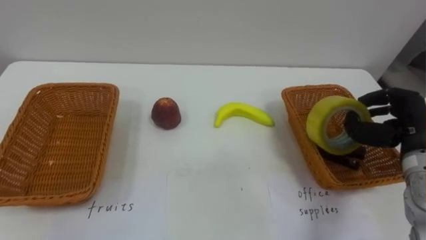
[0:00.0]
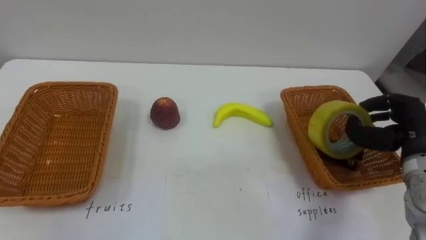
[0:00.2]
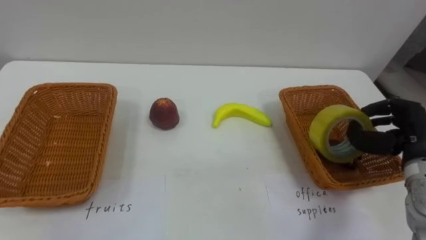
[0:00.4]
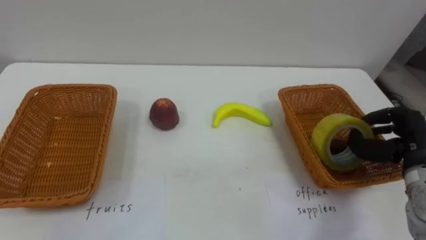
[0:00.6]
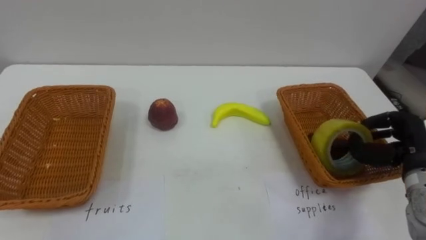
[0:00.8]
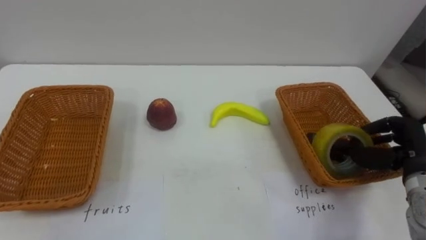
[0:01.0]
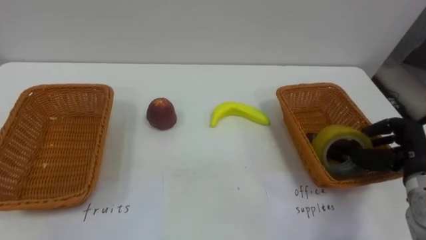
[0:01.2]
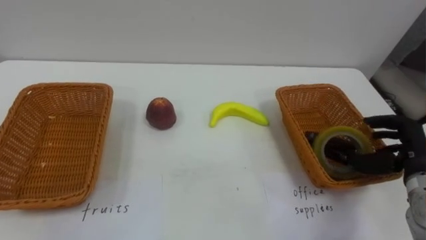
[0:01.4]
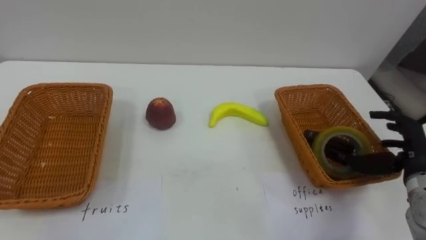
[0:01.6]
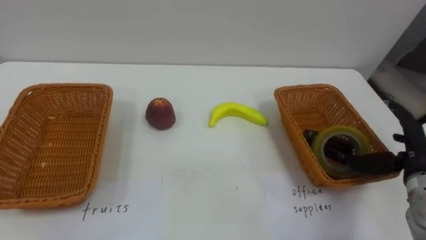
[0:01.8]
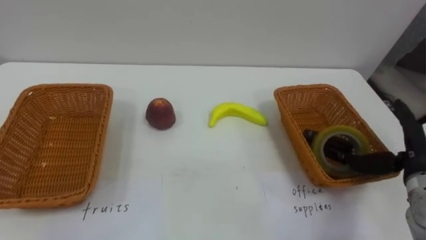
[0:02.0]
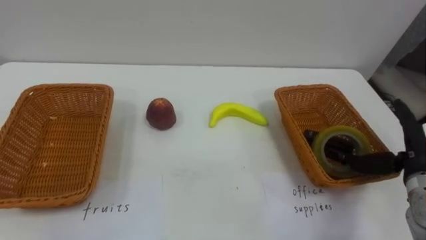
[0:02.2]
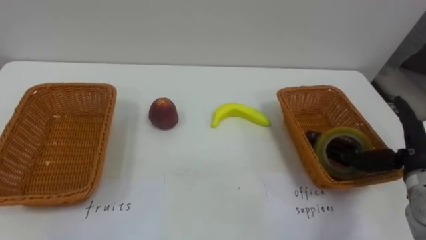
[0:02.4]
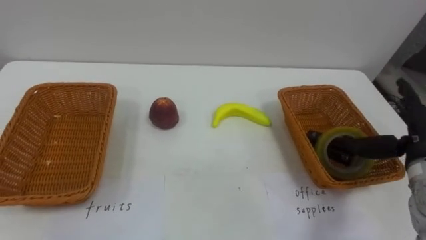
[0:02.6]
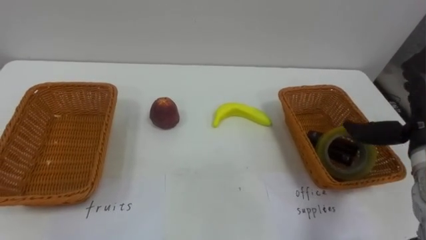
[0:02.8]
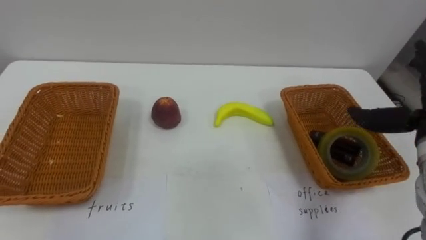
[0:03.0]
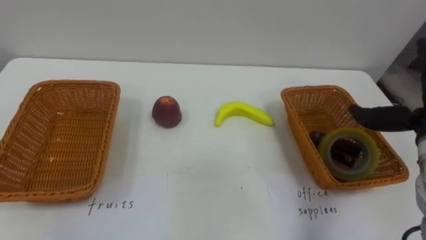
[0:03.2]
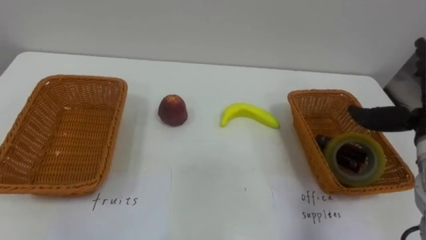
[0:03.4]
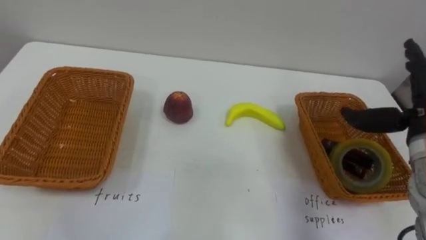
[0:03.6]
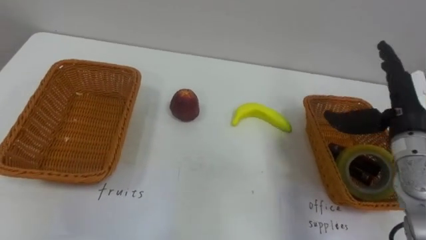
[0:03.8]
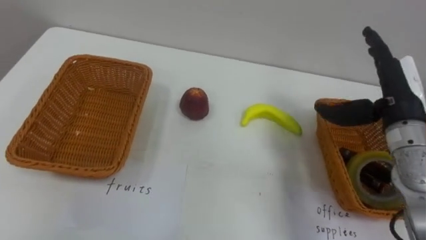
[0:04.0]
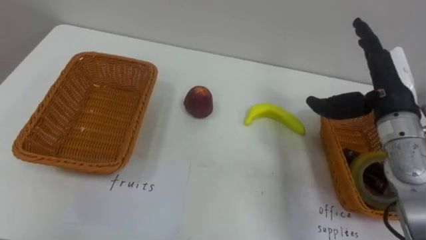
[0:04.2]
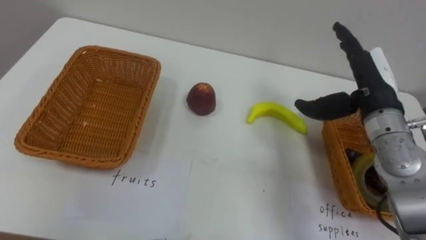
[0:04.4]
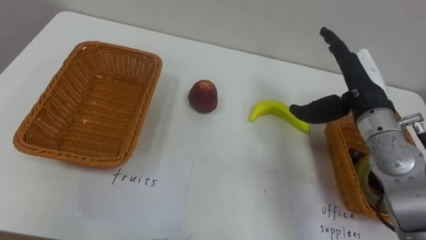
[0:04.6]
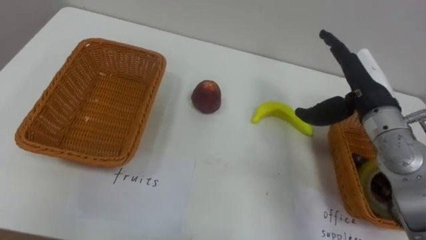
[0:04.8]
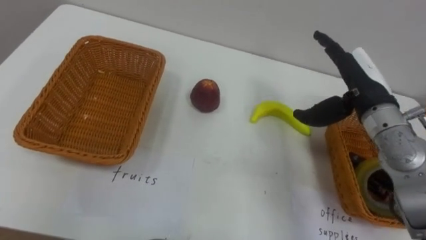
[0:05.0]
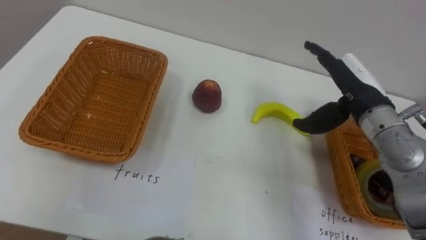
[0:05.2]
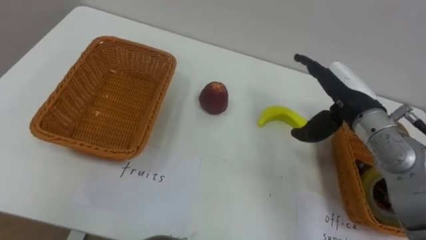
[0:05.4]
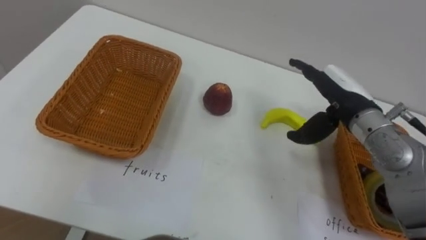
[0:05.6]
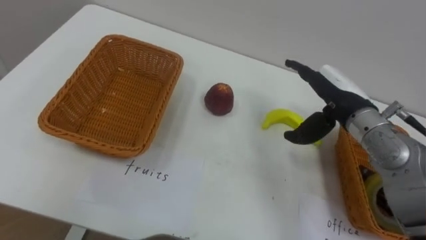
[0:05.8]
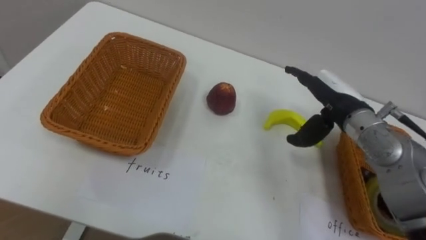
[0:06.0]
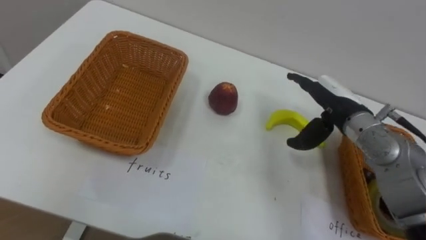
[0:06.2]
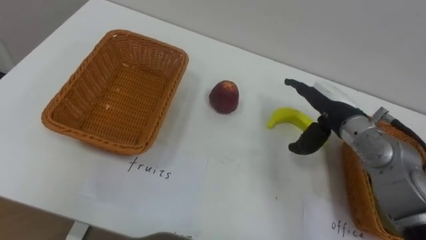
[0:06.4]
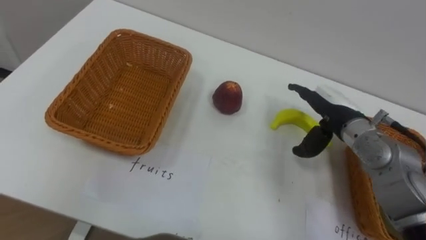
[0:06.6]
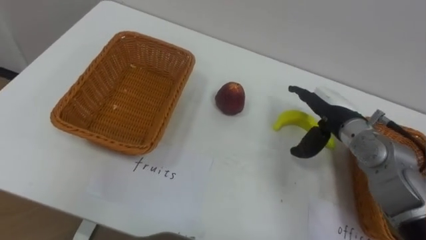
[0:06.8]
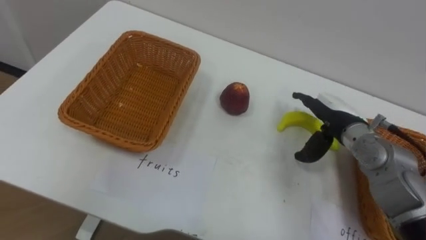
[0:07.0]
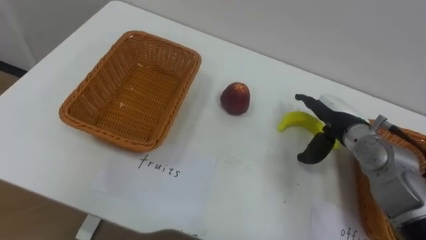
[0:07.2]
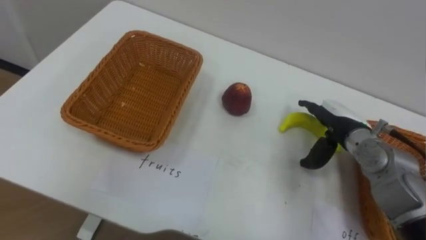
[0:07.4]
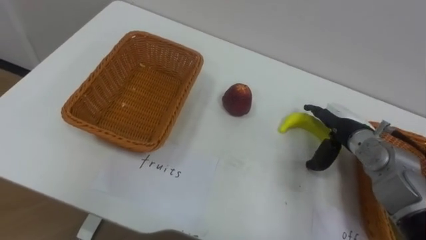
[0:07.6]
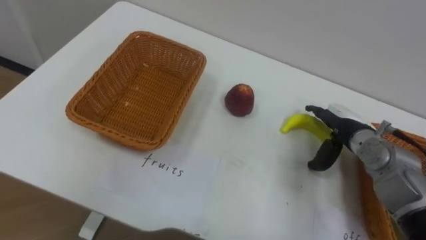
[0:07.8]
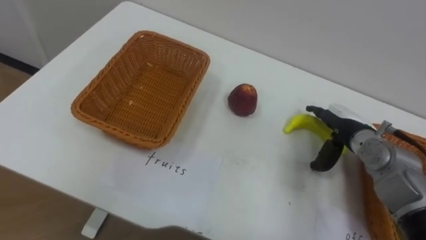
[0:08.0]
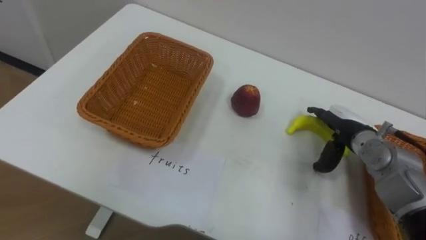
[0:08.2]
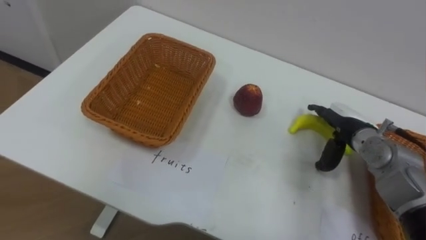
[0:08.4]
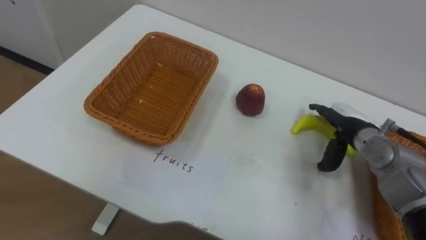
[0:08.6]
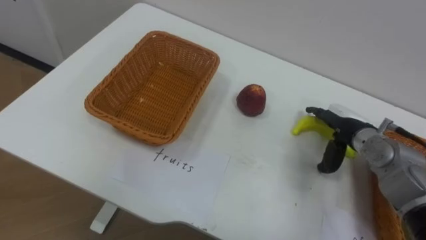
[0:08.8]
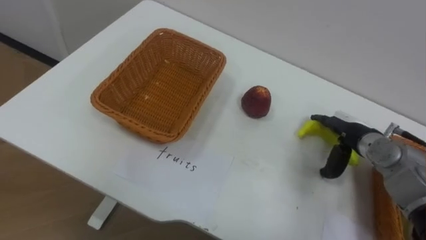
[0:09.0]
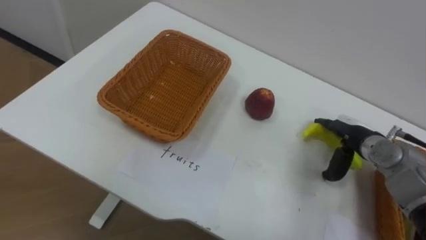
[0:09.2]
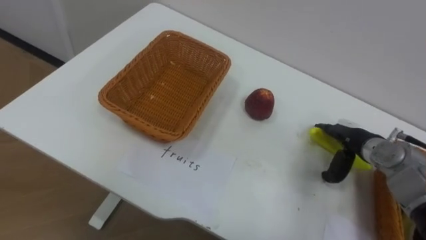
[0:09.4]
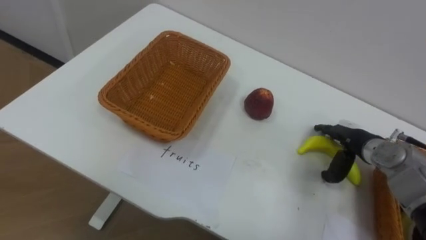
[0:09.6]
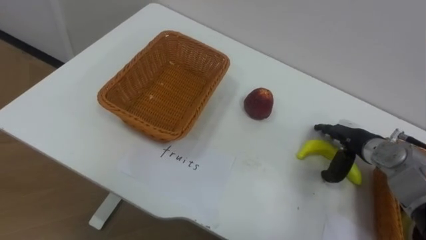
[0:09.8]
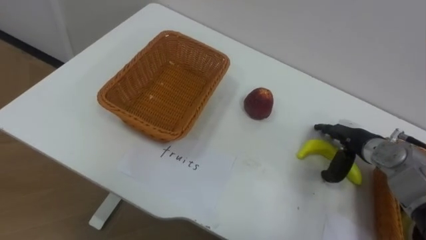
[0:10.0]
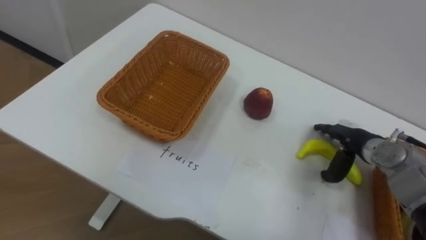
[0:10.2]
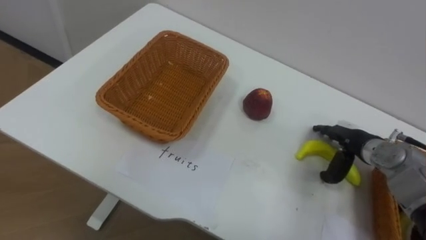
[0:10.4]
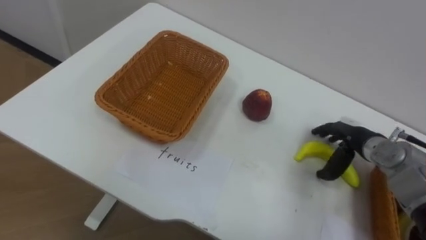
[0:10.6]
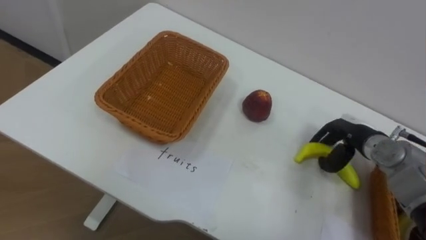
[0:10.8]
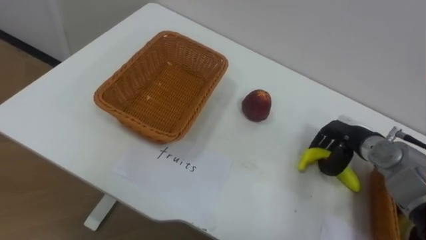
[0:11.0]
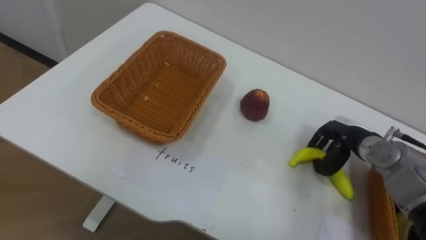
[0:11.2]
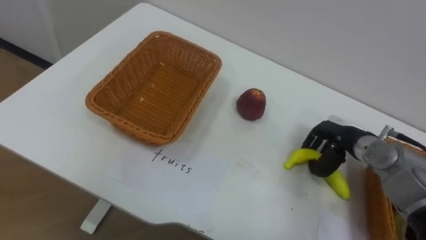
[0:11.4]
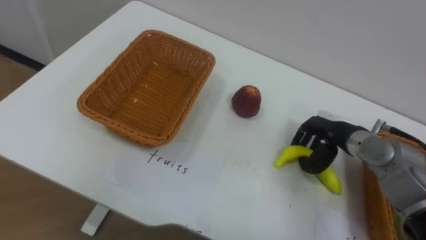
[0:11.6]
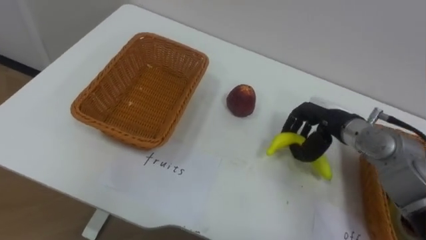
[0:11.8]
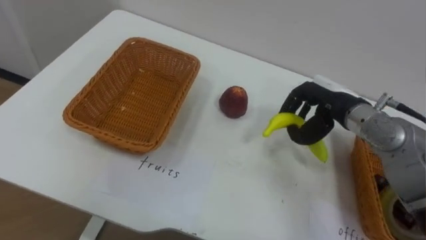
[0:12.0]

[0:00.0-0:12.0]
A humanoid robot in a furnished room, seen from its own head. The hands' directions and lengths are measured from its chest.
Task of the whole recording: Separate the items on the table and place them into the two baskets.
0:00.0 to 0:01.6: The right hand shifts by some 5 cm, and opens its fingers.
0:04.4 to 0:06.0: The right hand moves some 5 cm.
0:06.0 to 0:07.6: The right hand goes approximately 10 cm downward.
0:10.4 to 0:12.0: The right hand is displaced upward and to the left by approximately 10 cm, and closes up.

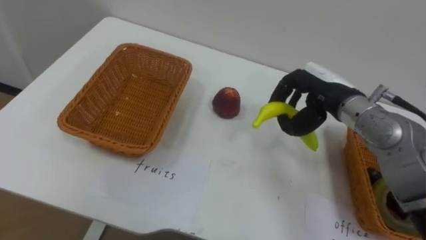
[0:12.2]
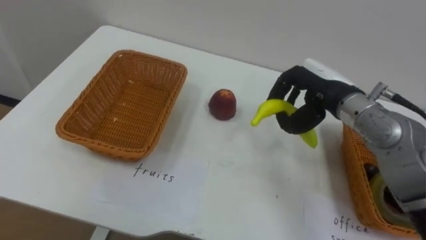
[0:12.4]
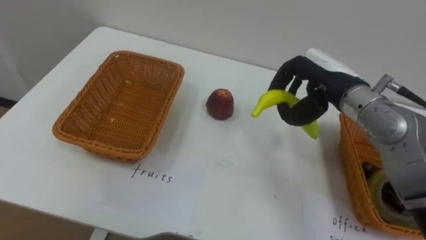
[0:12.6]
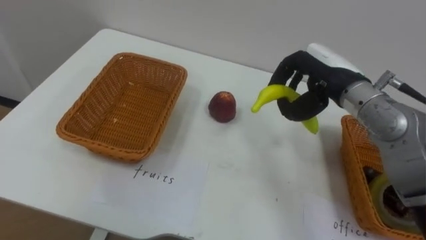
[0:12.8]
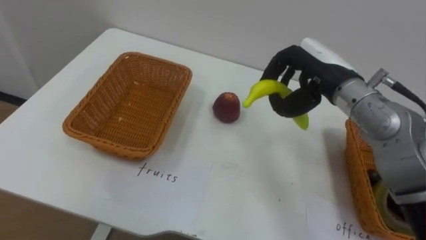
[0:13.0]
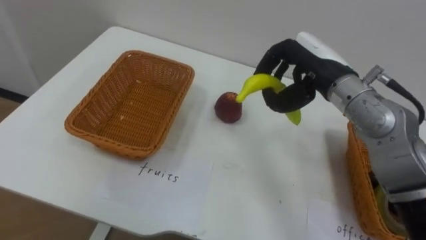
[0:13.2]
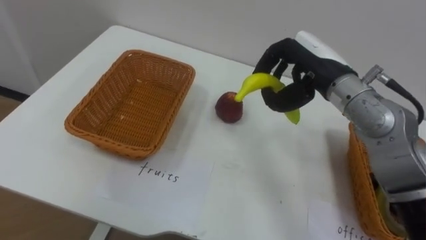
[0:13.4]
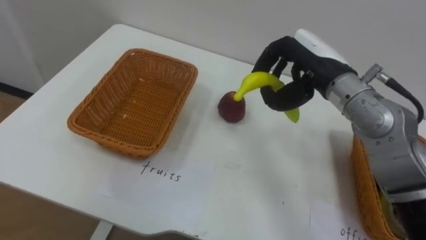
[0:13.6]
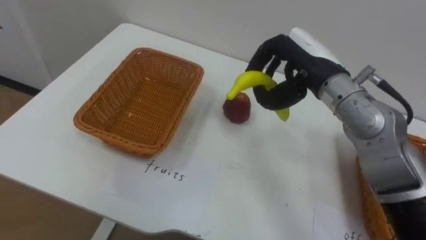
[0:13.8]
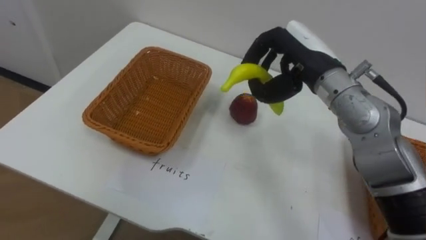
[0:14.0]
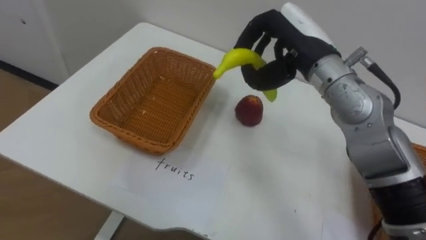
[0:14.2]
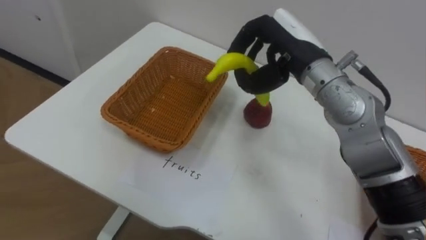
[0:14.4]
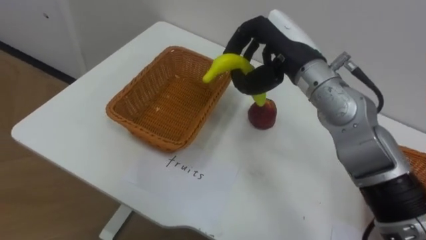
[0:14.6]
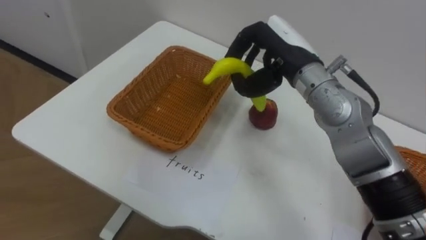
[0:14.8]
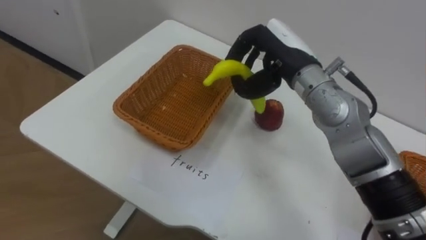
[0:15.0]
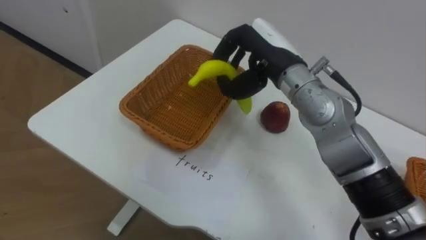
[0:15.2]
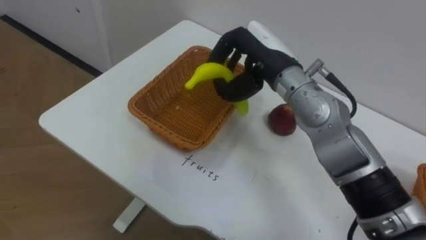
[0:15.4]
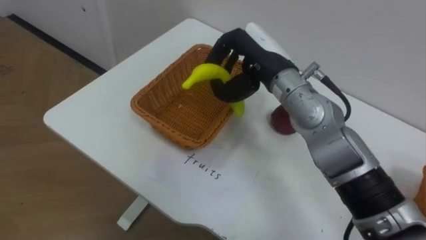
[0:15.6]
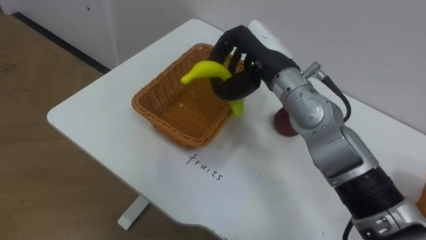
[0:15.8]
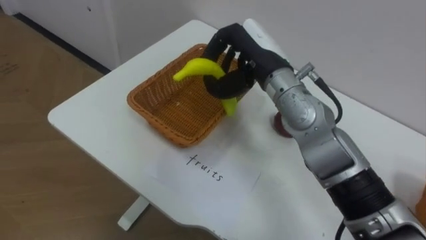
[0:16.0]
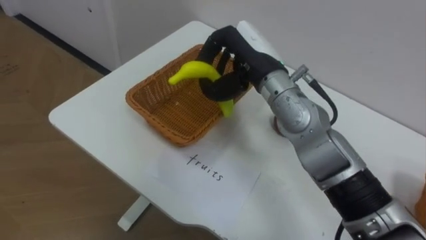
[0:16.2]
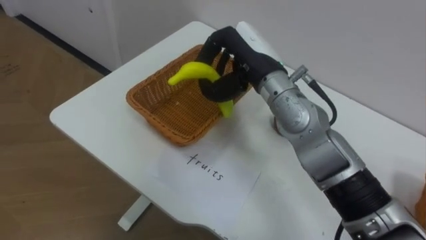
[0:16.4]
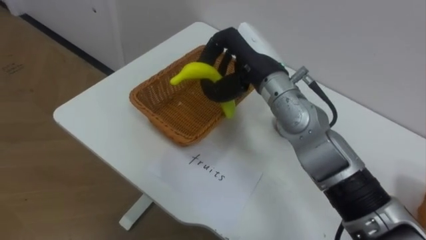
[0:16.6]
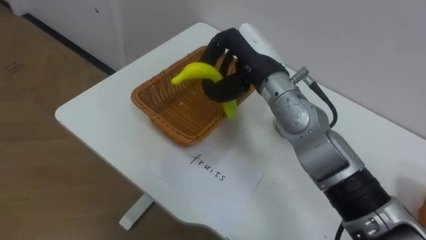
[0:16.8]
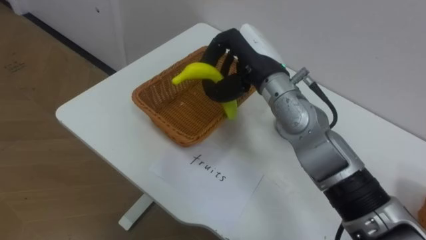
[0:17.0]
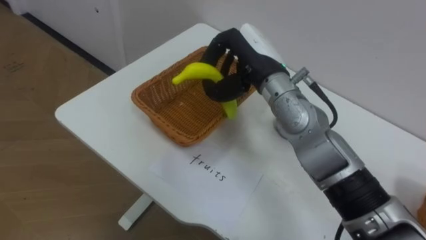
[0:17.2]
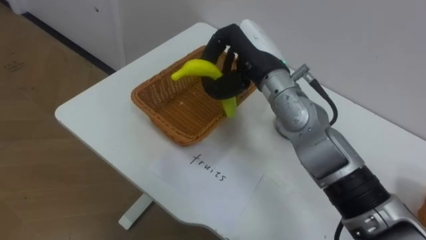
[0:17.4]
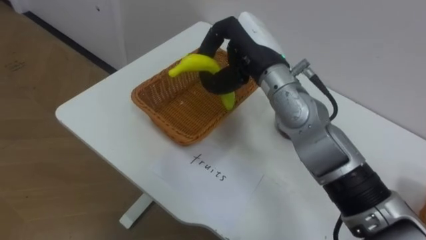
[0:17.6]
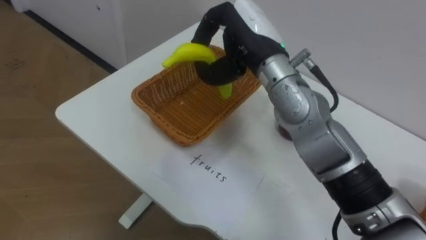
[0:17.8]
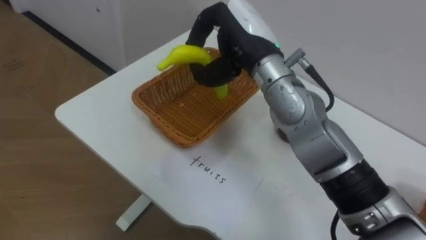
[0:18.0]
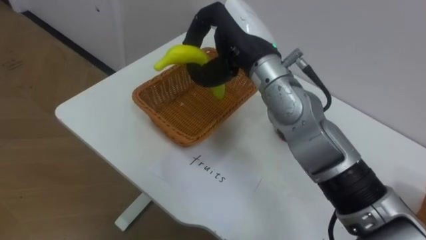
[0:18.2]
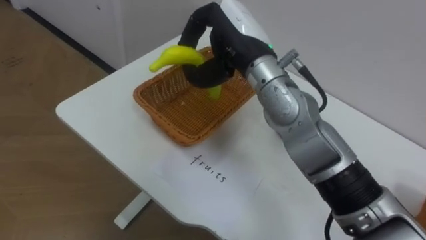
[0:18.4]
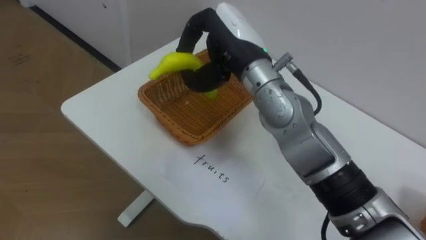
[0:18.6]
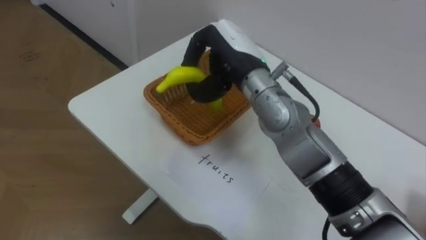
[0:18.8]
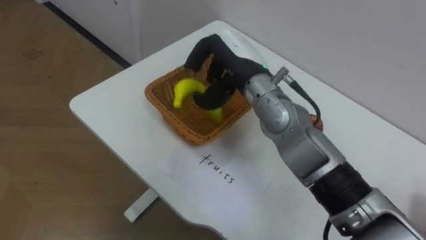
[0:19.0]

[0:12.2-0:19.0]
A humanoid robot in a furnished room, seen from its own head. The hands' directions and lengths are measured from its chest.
Task of the whole recording: Separate the items on the table and place them into the two baskets.
0:12.2 to 0:13.6: The right hand goes approximately 5 cm upward.
0:13.6 to 0:15.0: The right hand ends up approximately 5 cm from where it was.
0:15.0 to 0:16.2: The right hand is displaced to the left by about 5 cm.
